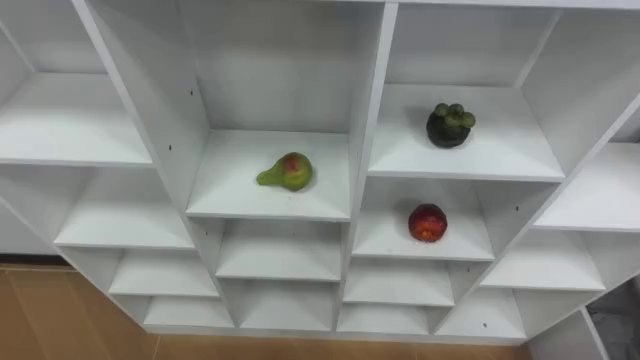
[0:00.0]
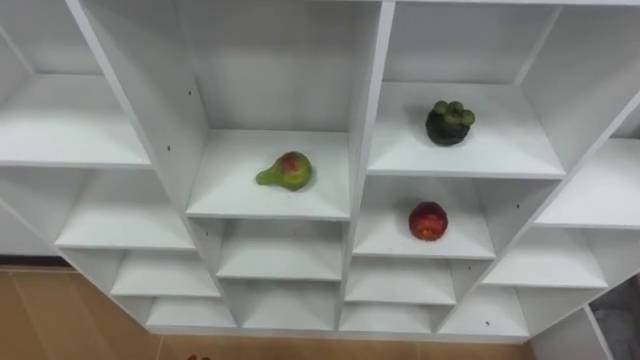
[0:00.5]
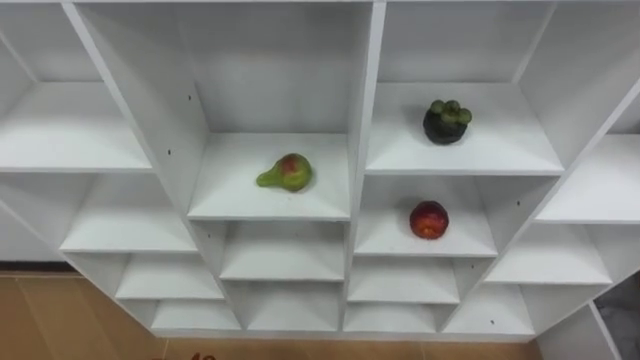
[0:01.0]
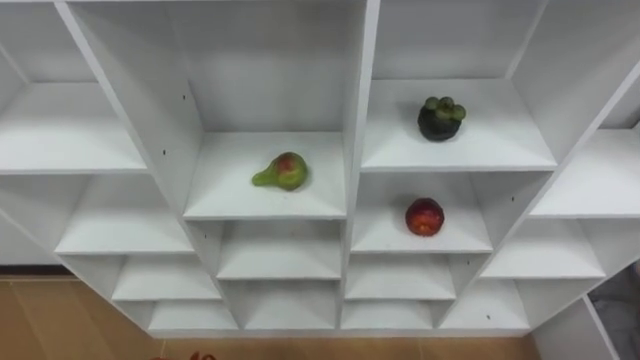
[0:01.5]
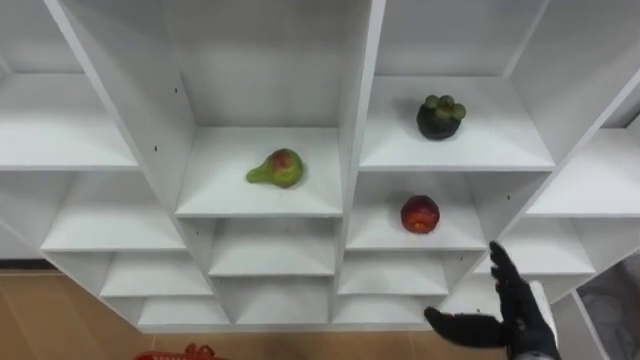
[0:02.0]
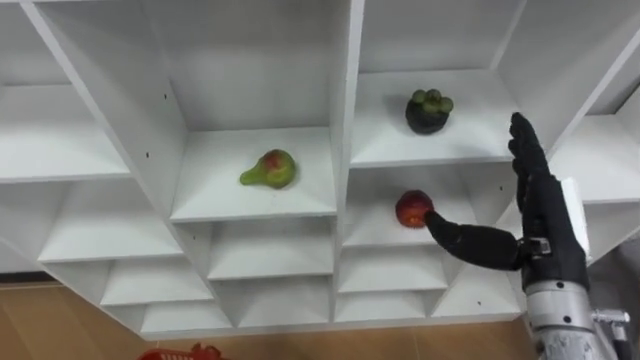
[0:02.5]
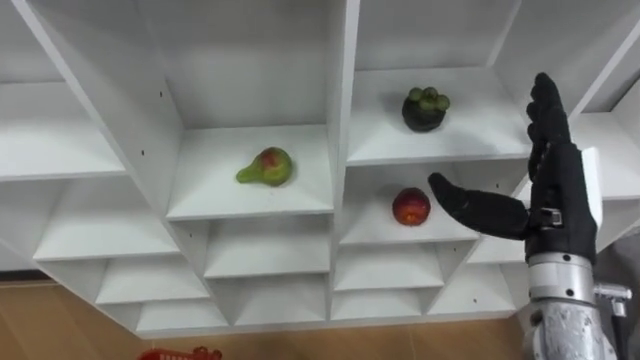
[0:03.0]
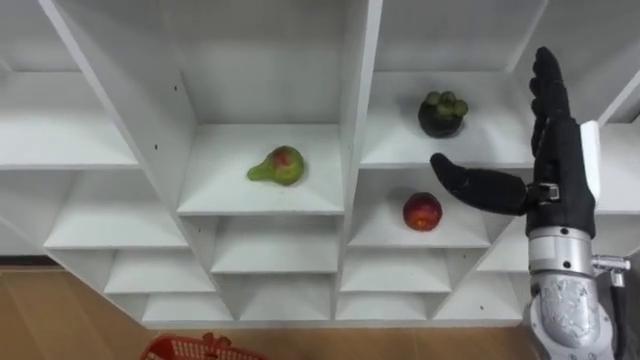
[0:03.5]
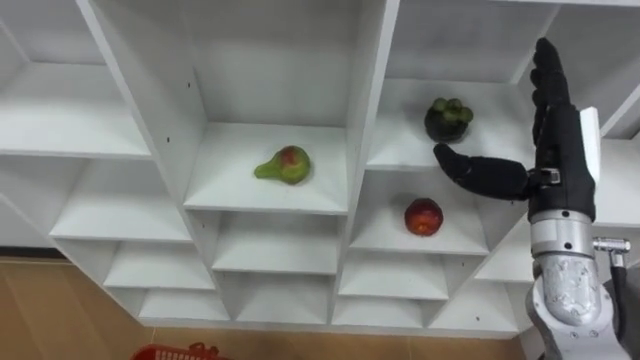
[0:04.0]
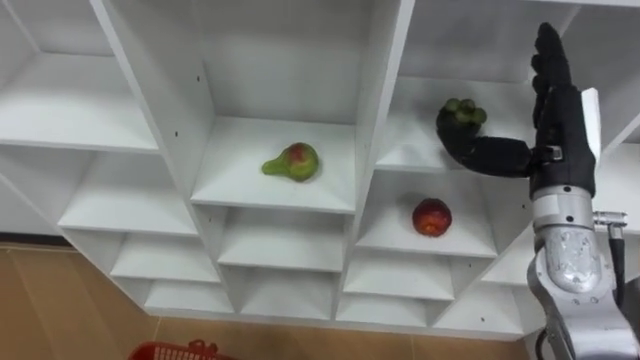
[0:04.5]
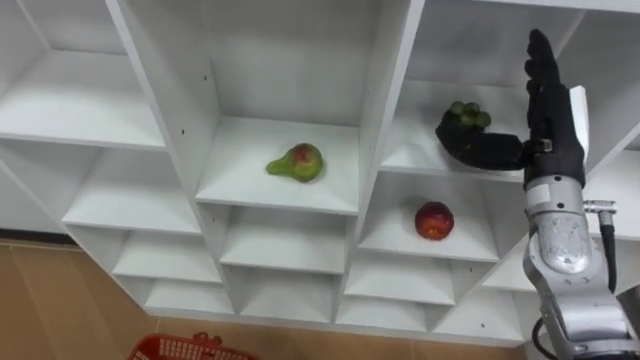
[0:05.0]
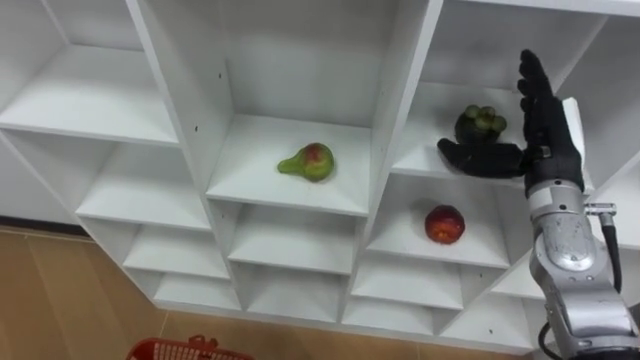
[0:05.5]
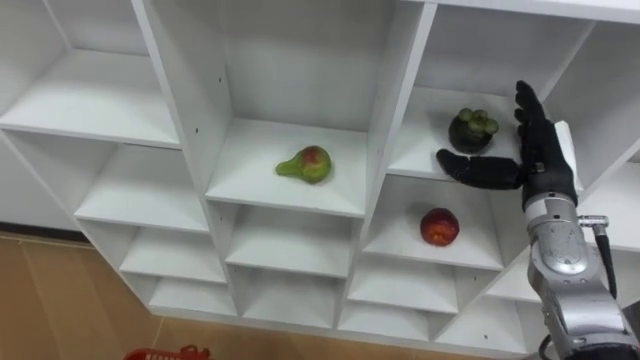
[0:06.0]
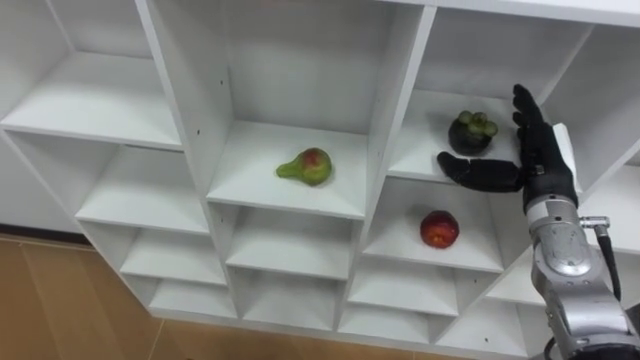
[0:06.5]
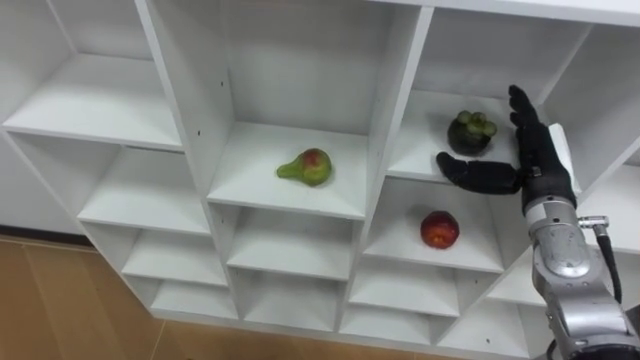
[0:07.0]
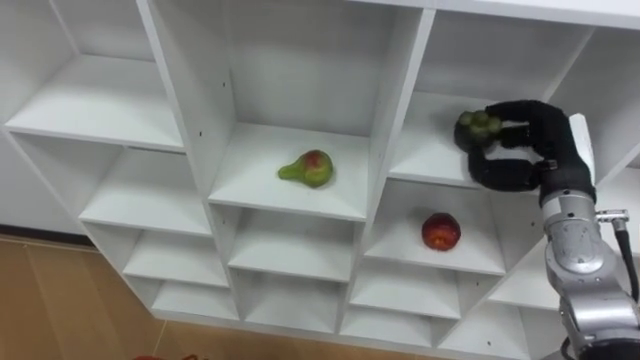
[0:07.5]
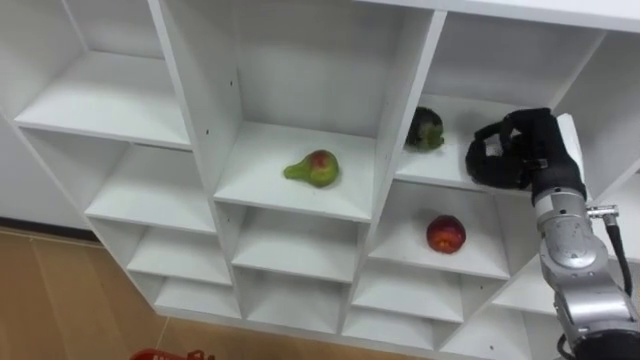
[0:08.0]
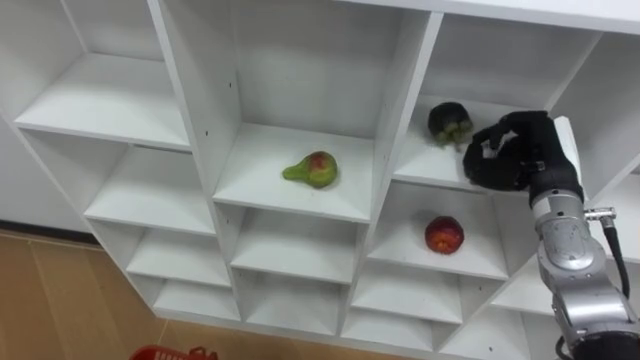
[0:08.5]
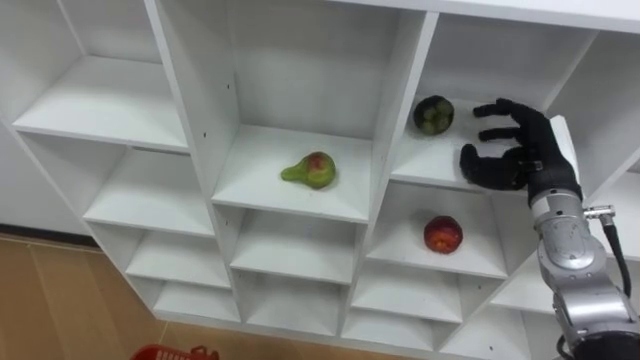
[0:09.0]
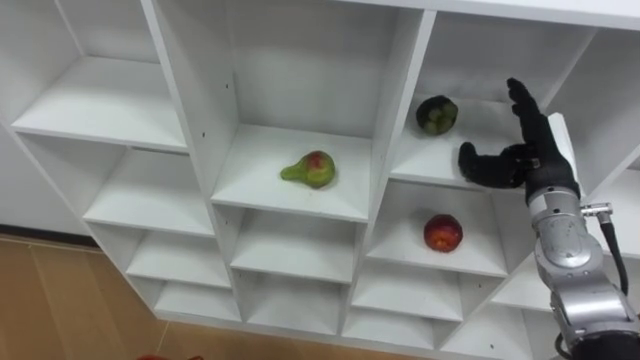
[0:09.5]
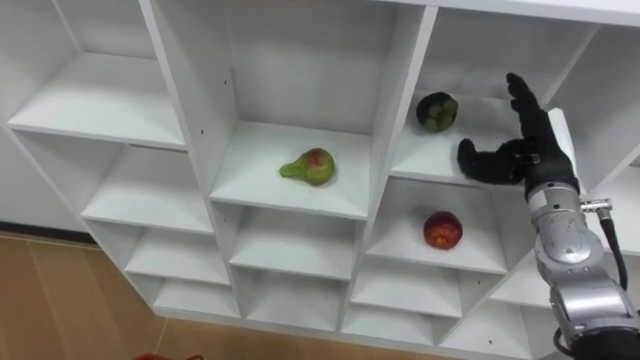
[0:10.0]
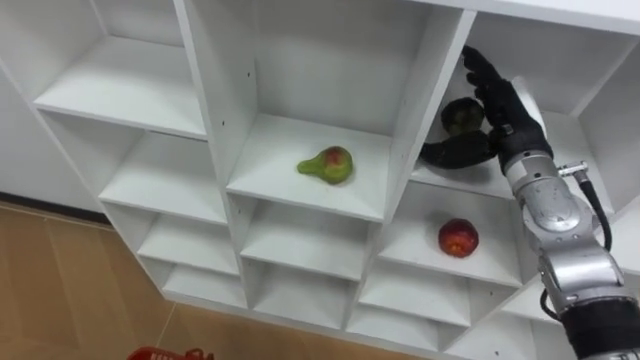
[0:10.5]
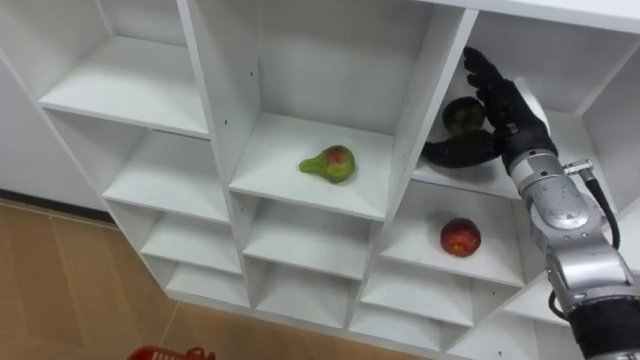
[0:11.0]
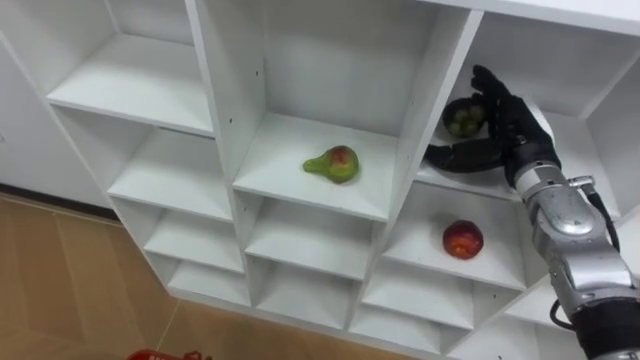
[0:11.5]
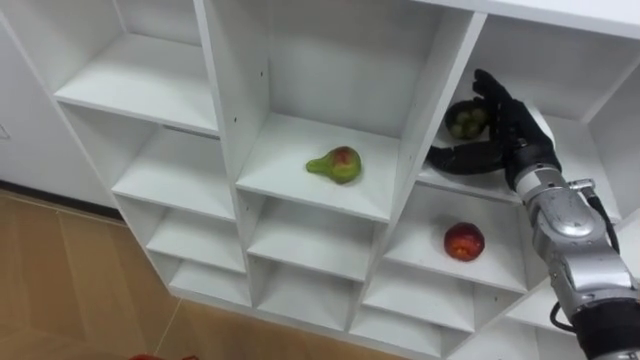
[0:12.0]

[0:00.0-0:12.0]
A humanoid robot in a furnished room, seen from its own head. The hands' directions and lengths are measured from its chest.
Task of the whole recording: Hold the basket and collect the fruits from 3 different cells of the closet into it.
0:02.0 to 0:04.0: The right hand heads upward and forward, covering roughly 25 cm.
0:04.0 to 0:06.0: The right hand heads downward, covering some 5 cm.
0:06.0 to 0:08.0: The right hand closes up.
0:08.0 to 0:10.0: The right hand opens.

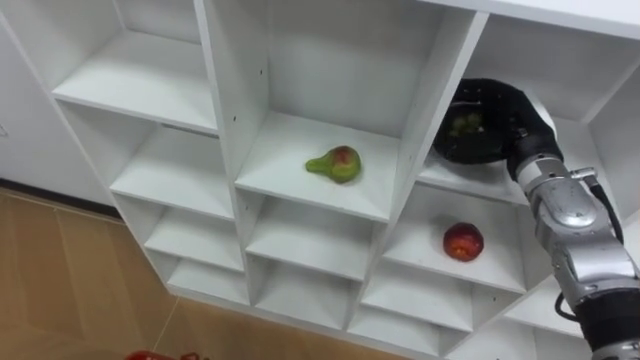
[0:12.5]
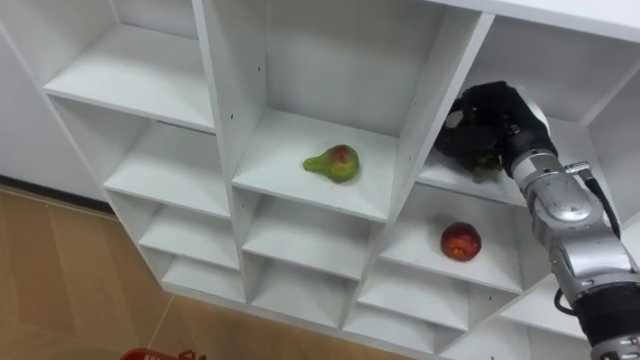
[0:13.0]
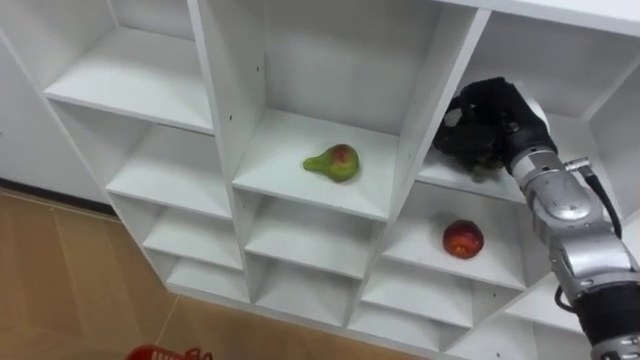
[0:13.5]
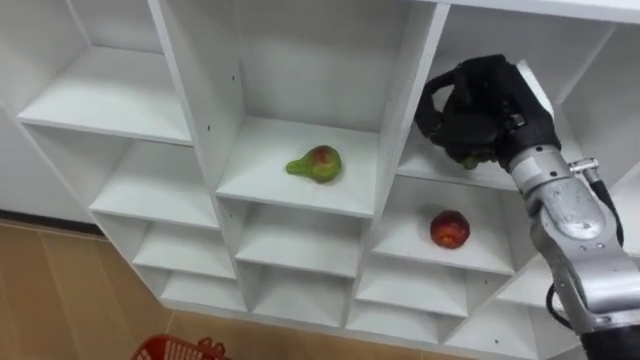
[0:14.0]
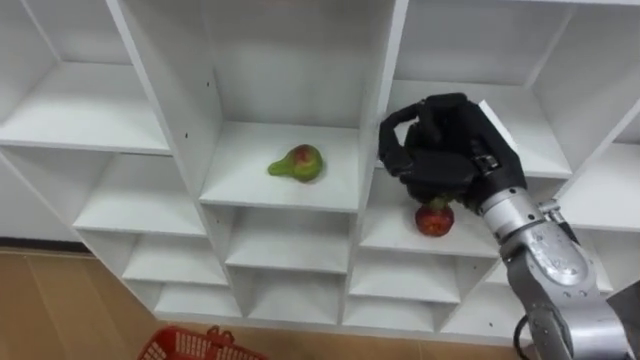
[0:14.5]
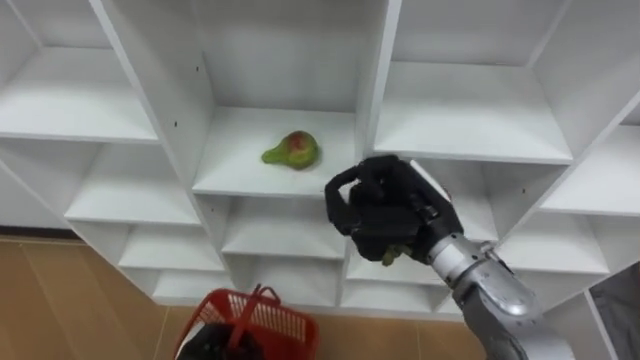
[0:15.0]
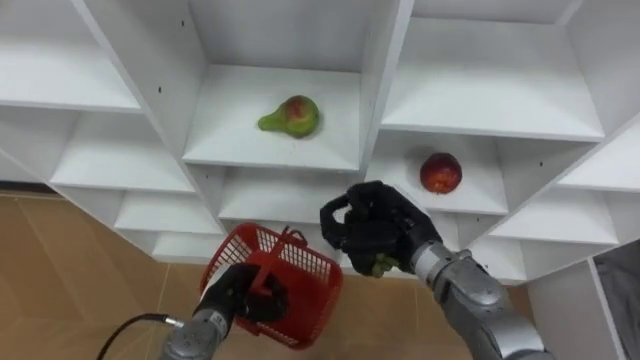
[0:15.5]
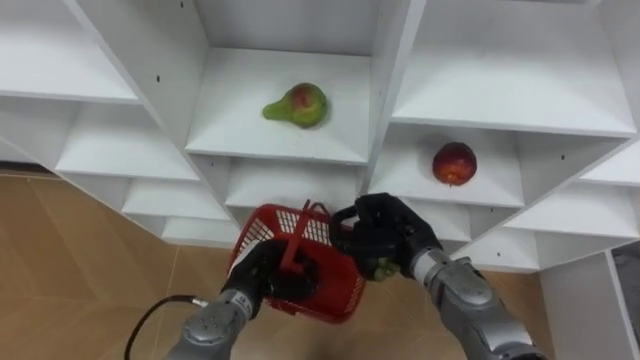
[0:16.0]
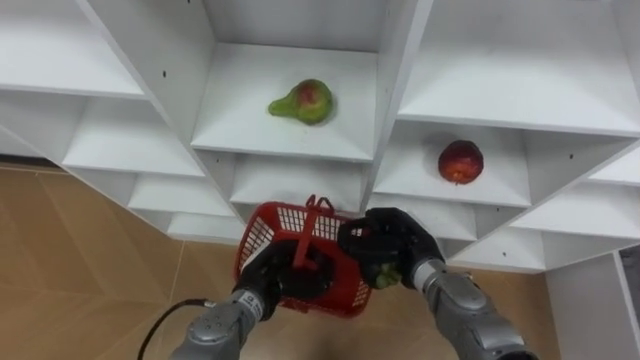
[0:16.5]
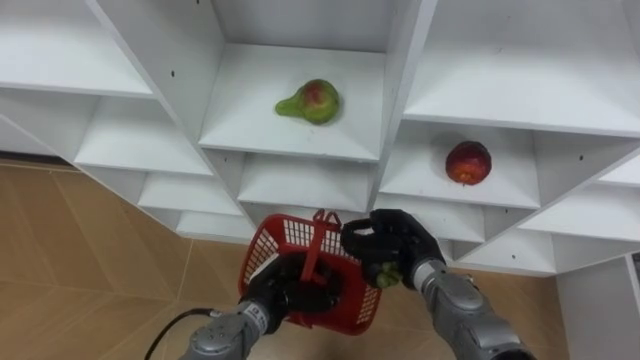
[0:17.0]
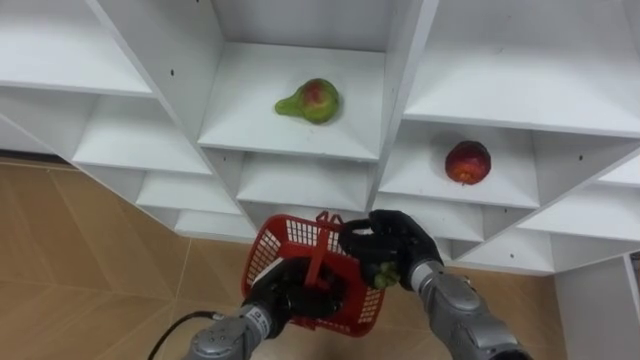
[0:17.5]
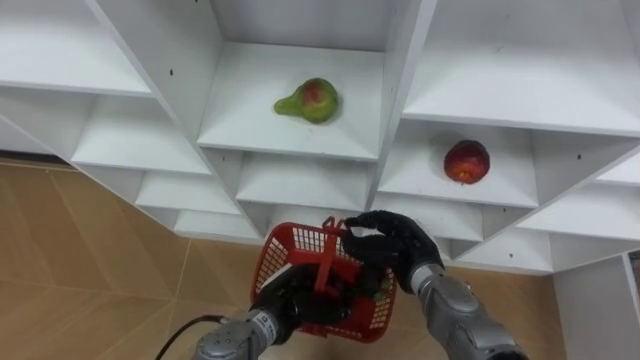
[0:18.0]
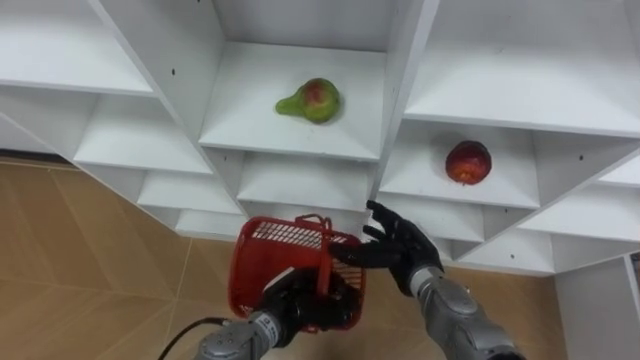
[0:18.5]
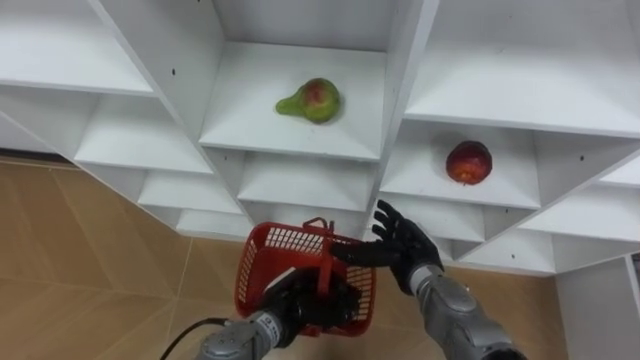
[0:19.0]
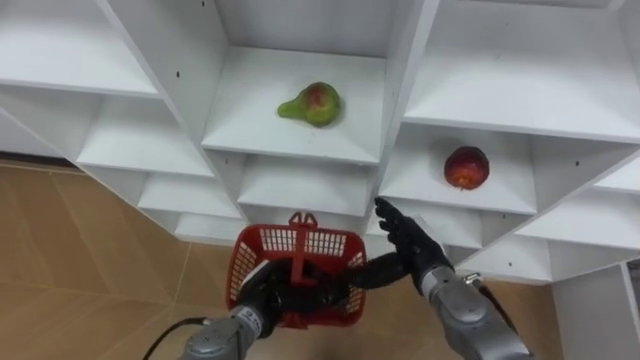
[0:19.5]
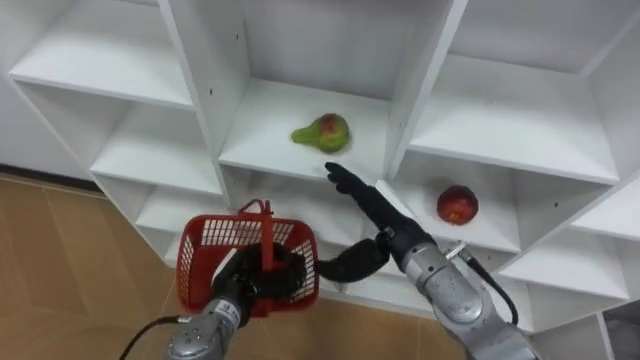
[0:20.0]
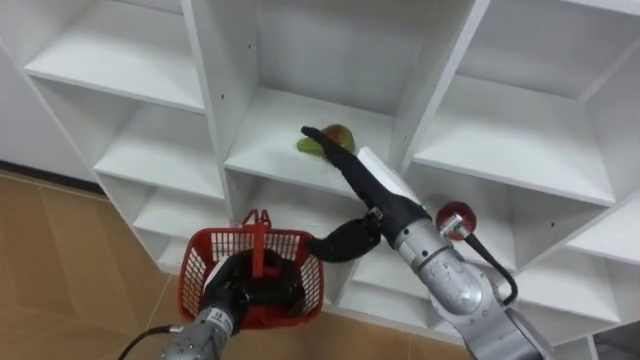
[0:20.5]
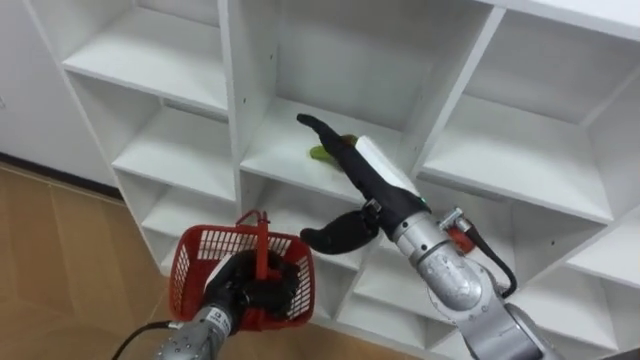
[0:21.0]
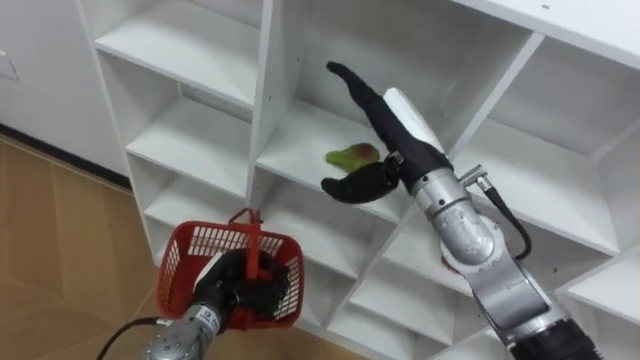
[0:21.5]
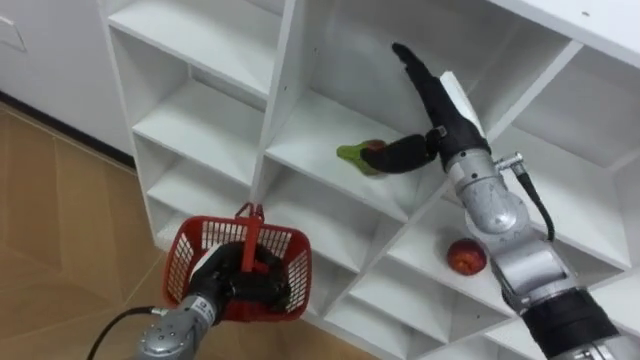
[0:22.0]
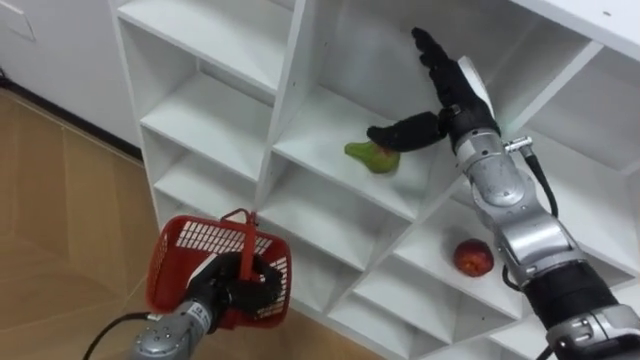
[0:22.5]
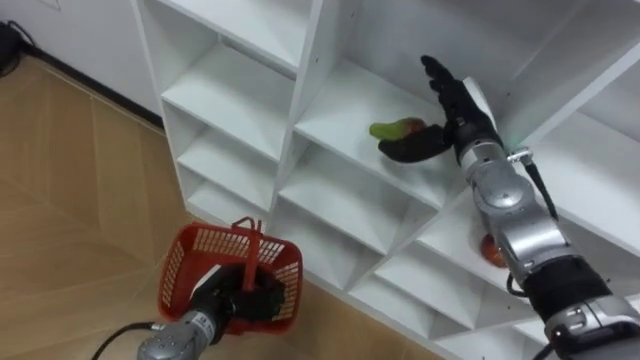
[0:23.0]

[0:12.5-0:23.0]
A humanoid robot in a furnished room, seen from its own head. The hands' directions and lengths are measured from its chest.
Task of the whole recording: Hold the basket and collect the fruits from 3 different cells of the closet into it.
0:12.5 to 0:14.5: The right hand is displaced to the left and backward by roughly 10 cm, and closes its fingers.
0:14.5 to 0:16.5: The right hand shifts roughly 20 cm downward.
0:16.5 to 0:19.0: The right hand opens up. Meanwhile the left hand changes place by roughly 5 cm.
0:19.0 to 0:21.0: The left hand shifts about 10 cm to the left, while the right hand heads upward, covering roughly 15 cm.
0:21.0 to 0:23.0: The right hand heads to the right and forward, covering approximately 15 cm.
